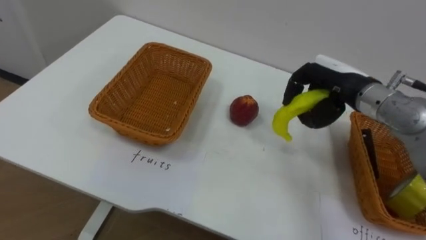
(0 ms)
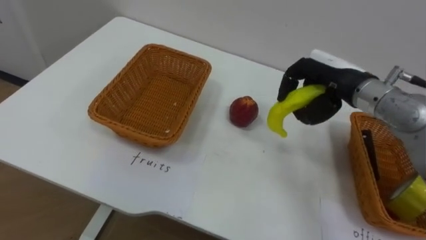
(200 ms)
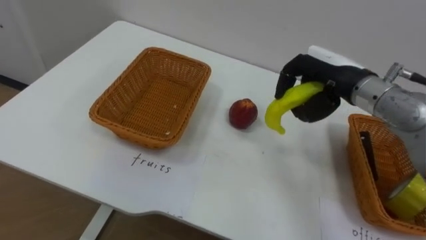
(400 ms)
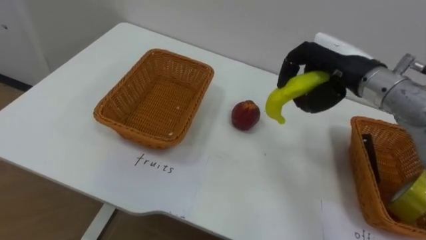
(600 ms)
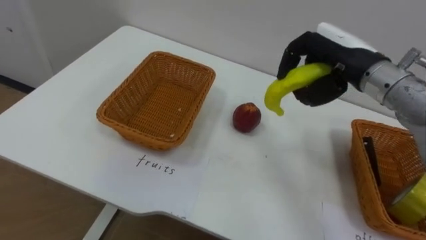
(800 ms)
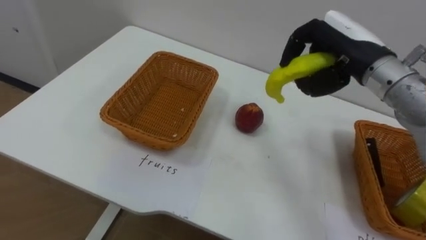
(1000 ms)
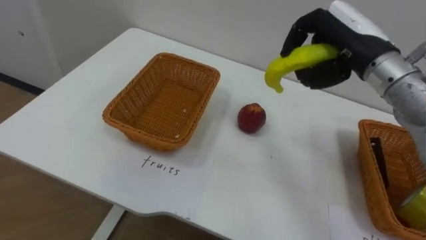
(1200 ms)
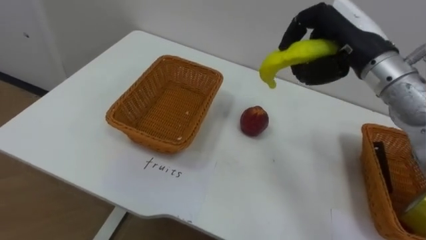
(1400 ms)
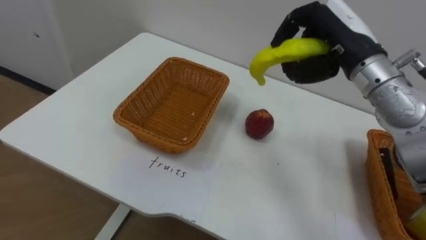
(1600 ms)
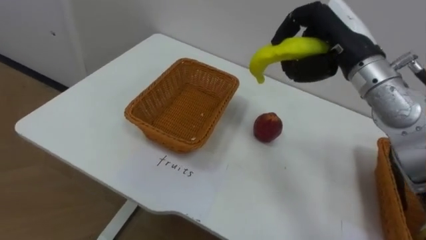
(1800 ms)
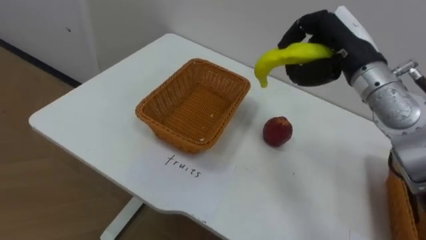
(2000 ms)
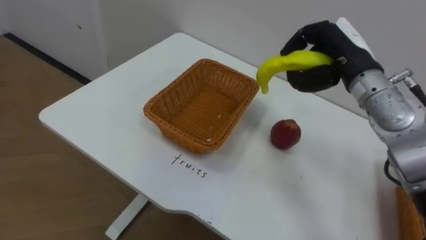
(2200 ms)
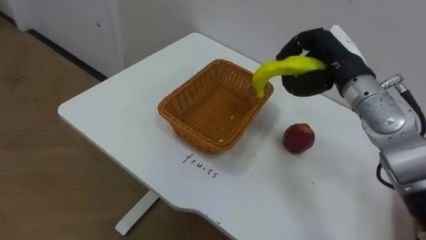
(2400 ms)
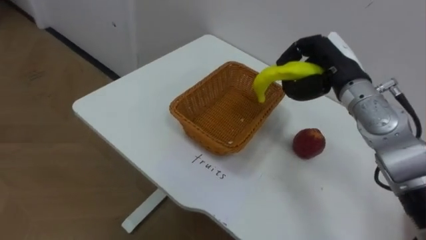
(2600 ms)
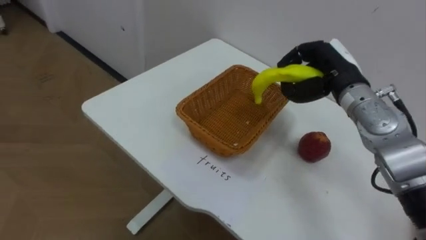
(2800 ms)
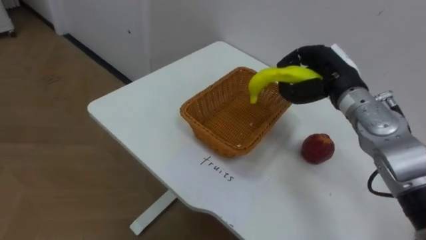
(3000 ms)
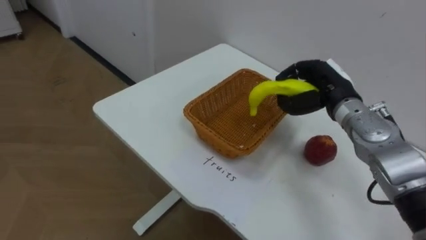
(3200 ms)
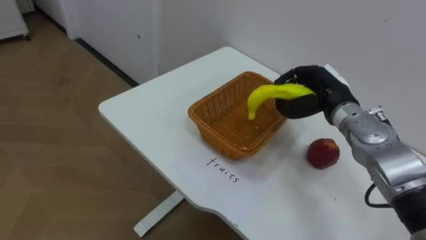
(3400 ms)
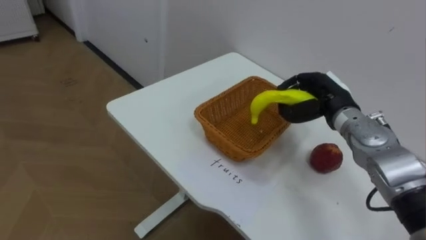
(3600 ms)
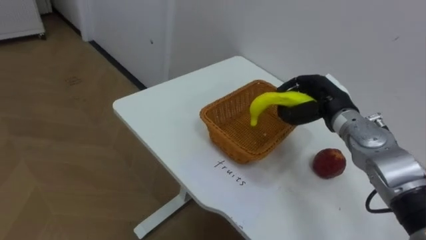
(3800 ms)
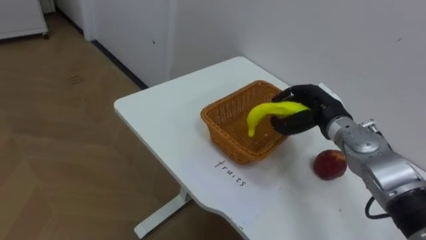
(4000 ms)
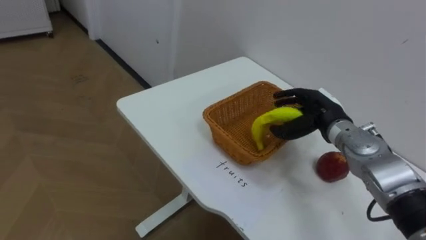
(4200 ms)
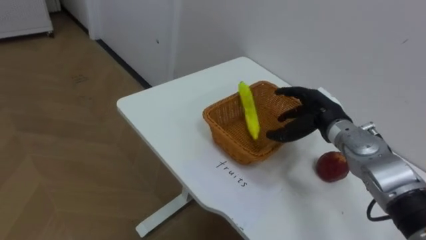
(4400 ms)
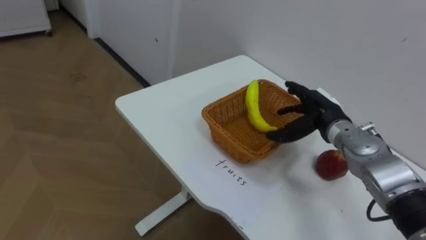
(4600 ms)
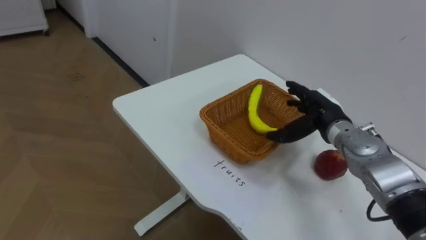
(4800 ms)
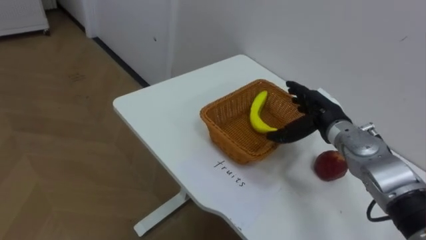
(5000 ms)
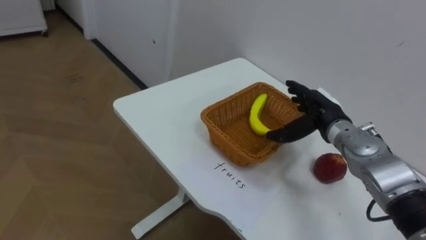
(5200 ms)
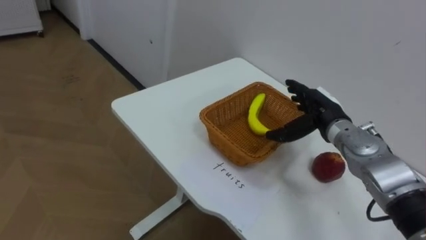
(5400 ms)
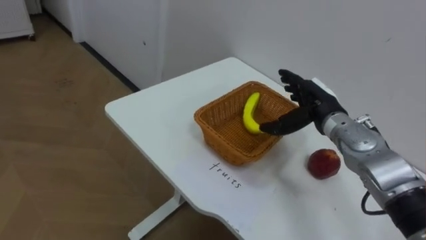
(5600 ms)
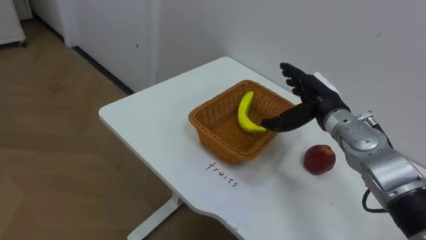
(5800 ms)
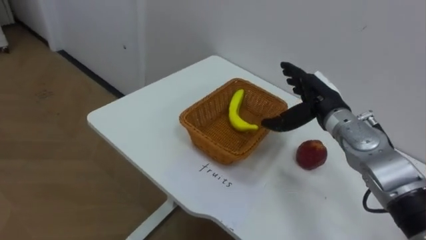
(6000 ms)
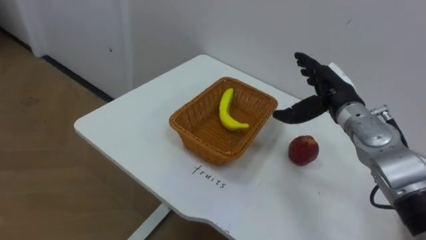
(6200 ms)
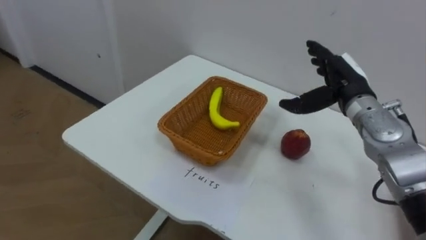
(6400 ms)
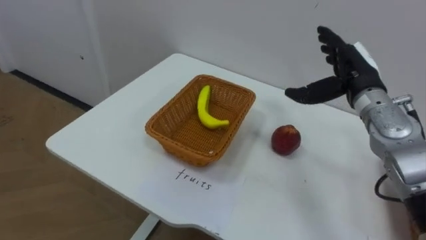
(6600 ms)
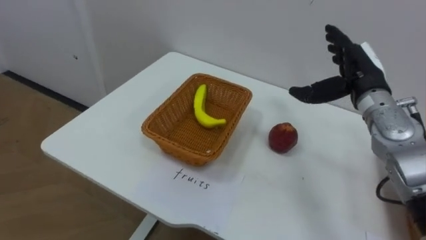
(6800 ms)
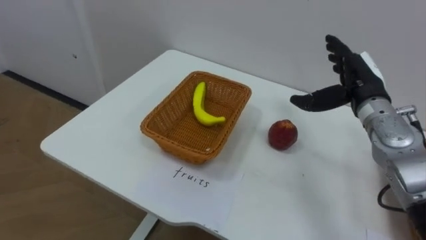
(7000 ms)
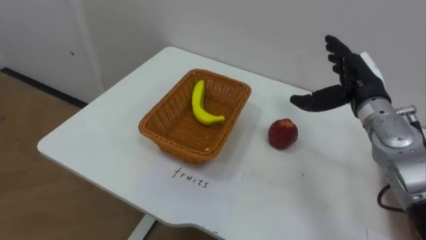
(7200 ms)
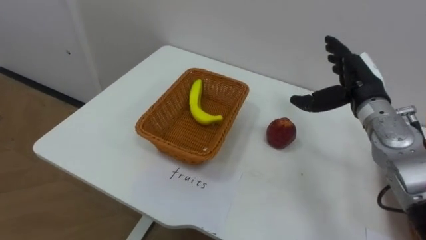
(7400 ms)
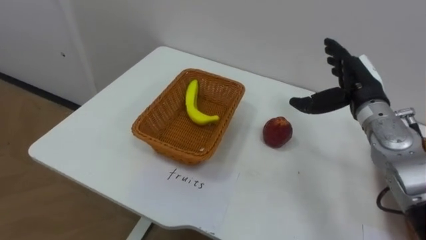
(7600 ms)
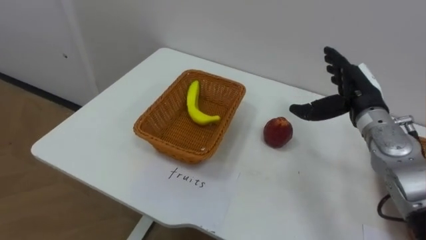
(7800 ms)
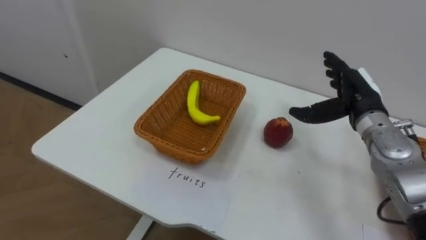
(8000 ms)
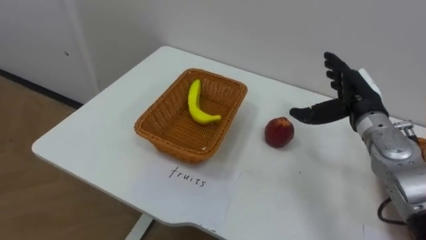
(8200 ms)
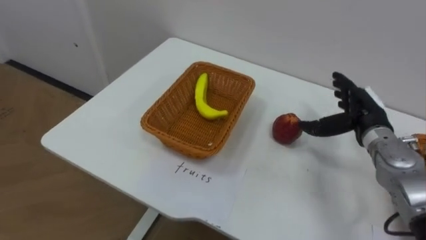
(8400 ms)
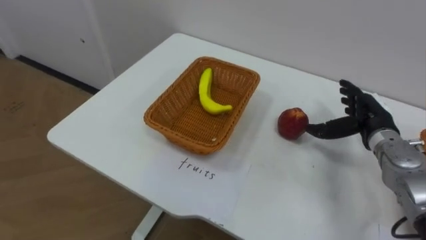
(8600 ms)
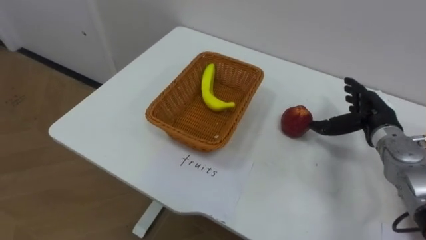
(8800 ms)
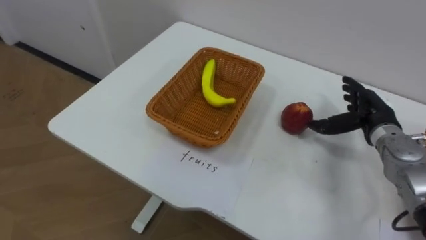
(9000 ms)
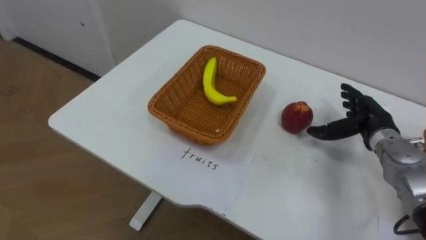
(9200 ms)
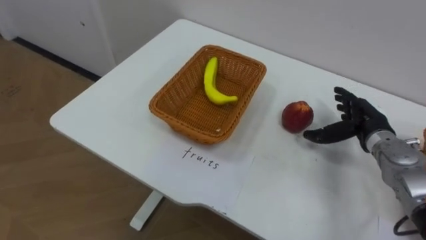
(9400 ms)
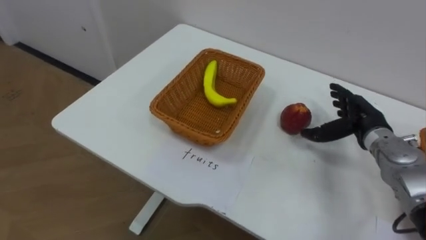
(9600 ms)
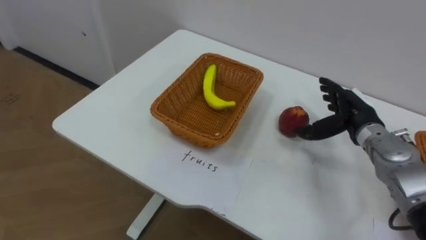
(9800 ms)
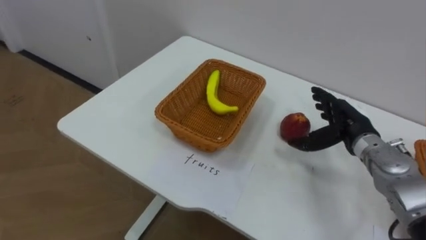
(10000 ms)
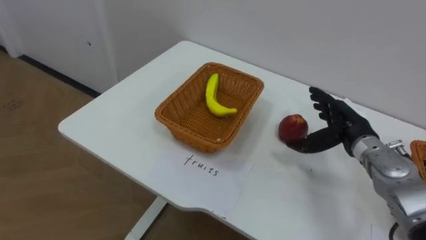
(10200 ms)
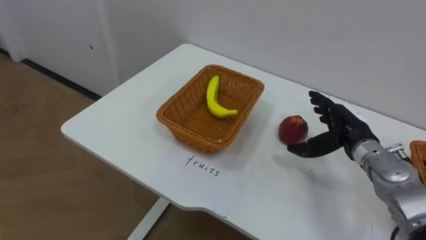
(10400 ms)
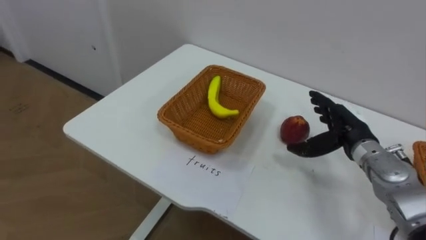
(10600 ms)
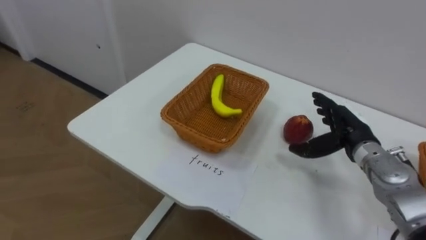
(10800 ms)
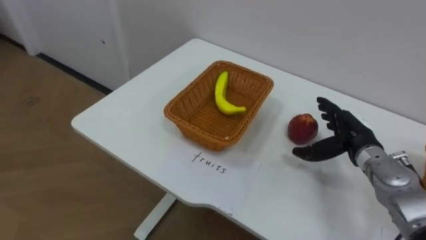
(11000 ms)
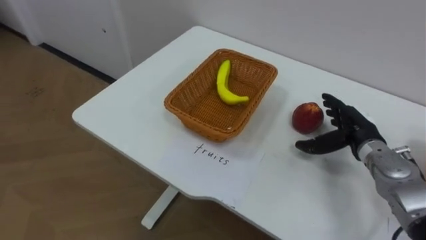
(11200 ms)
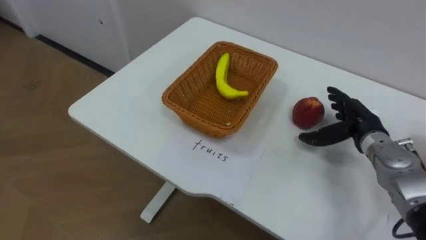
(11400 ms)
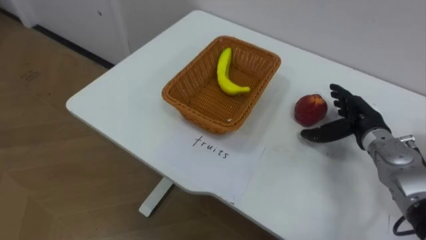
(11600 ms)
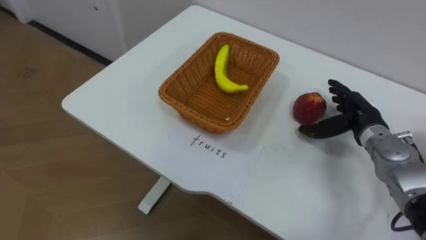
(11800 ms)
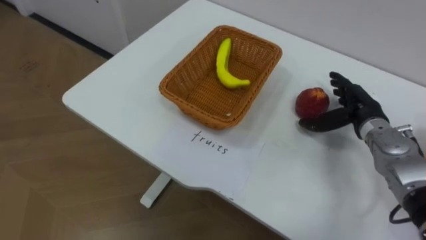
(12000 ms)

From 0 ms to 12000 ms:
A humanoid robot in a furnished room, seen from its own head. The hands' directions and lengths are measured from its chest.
Task of the whole recording: Separate the items on the table and place them into the two baskets.
From 0 ms to 1600 ms: The right hand travels upward by roughly 10 cm.
From 1600 ms to 3000 ms: The right hand heads downward, covering roughly 10 cm.
From 3000 ms to 4400 ms: The right hand travels downward by about 10 cm, and opens up.
From 6000 ms to 7600 ms: The right hand travels to the right by approximately 5 cm.
From 7600 ms to 9000 ms: The right hand shifts about 5 cm downward.
From 9000 ms to 10400 ms: The right hand ends up some 5 cm from where it was.

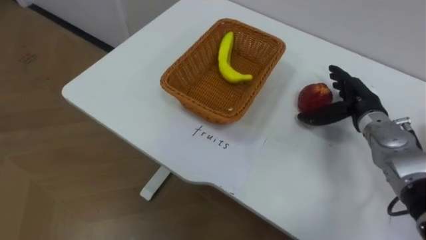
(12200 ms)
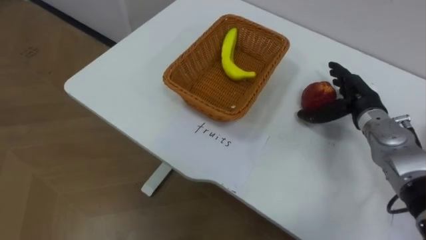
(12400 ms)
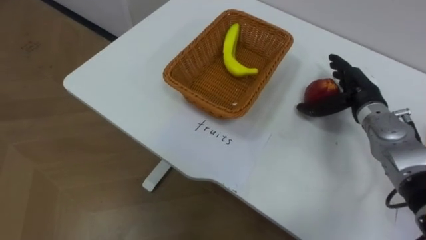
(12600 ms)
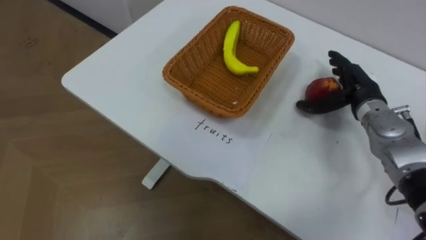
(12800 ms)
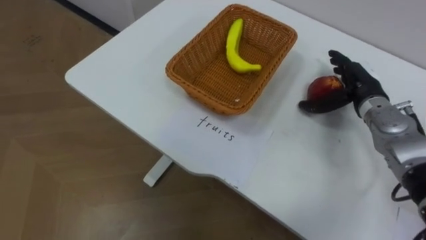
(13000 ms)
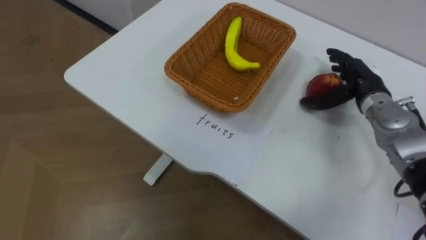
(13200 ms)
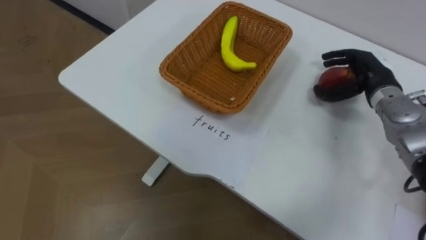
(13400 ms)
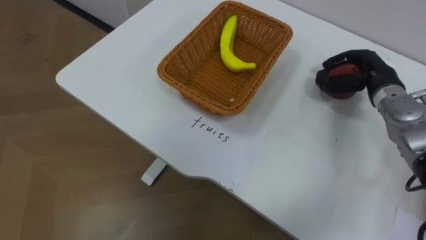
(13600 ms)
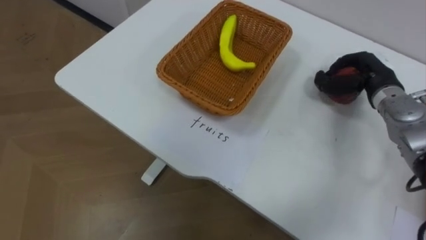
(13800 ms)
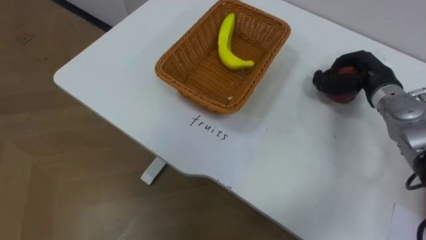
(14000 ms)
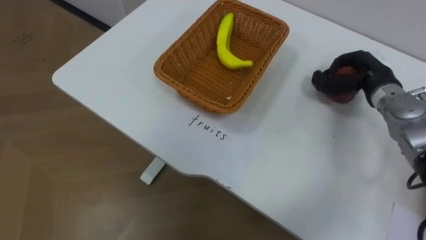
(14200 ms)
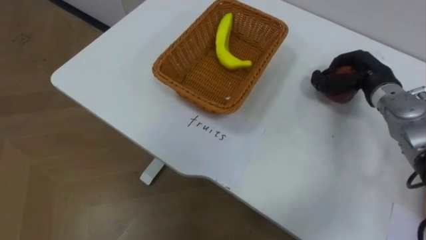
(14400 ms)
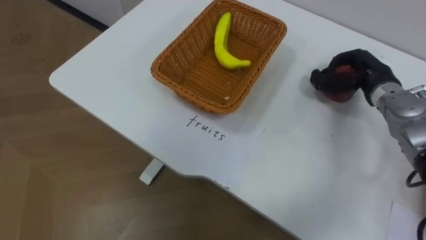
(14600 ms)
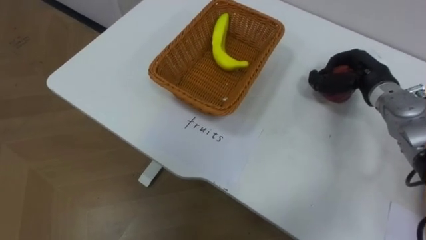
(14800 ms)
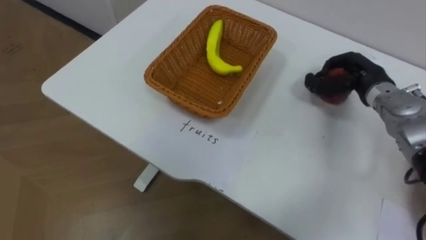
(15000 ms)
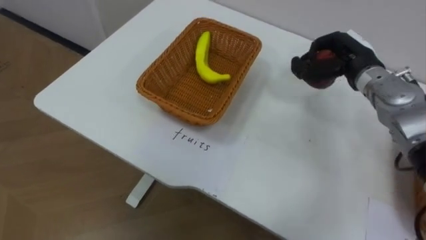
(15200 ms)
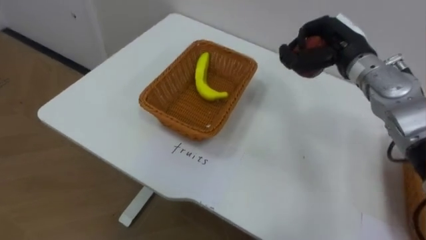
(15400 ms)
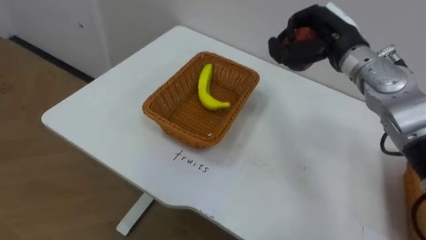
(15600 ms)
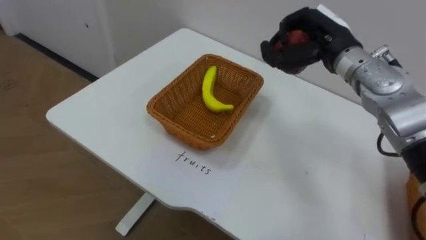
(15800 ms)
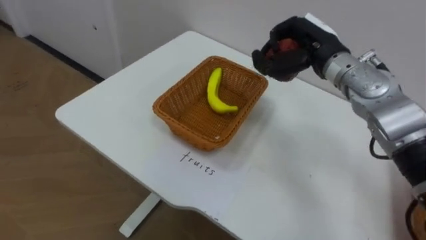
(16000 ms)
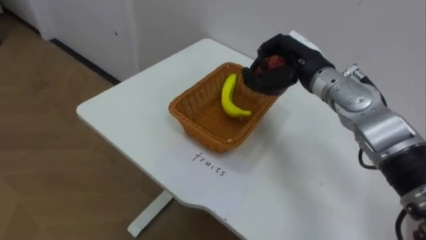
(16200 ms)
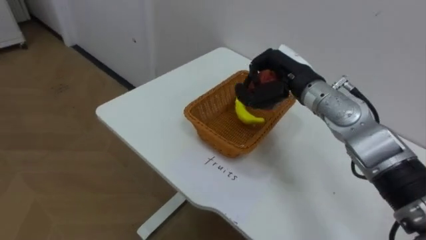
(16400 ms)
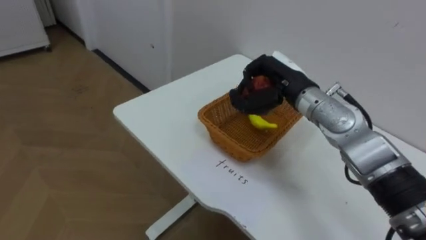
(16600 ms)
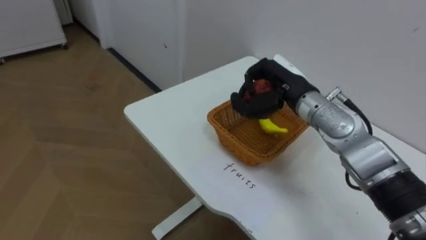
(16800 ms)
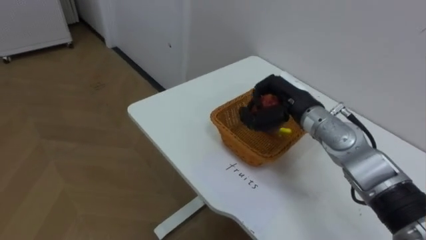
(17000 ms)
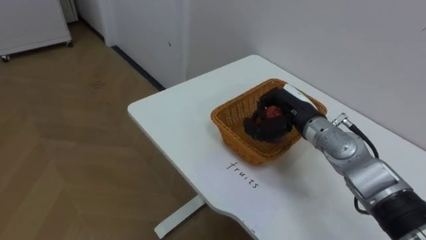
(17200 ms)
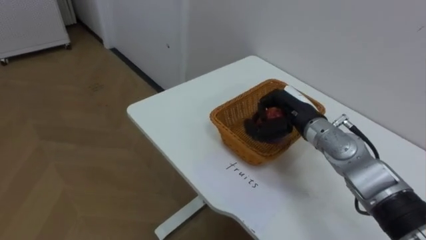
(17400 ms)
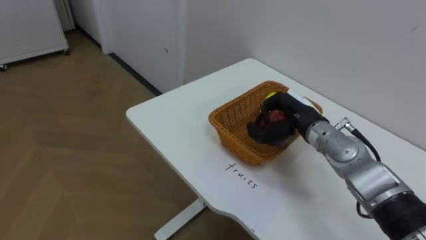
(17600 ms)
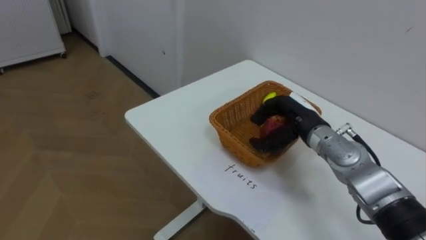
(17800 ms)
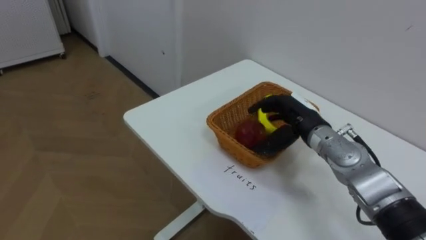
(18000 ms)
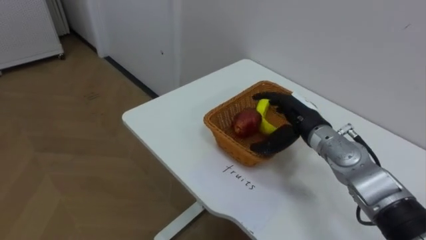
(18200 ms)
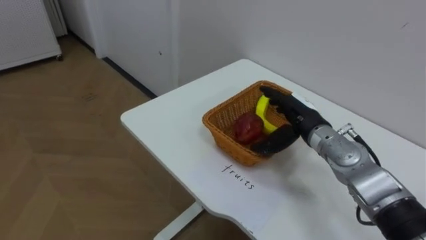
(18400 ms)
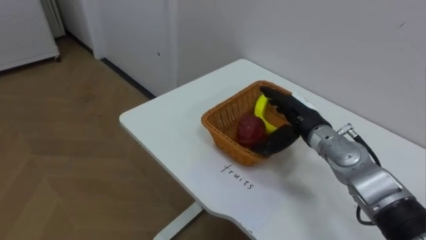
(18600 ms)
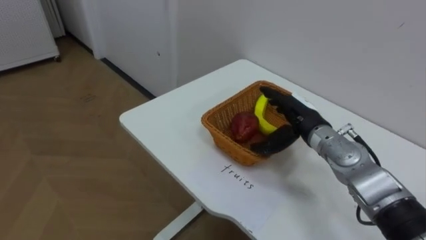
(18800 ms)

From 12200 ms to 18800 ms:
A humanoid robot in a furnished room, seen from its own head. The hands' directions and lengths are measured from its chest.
Task of the whole recording: Separate the items on the table and place them into the two baskets.
From 12200 ms to 13800 ms: The right hand closes its fingers.
From 13800 ms to 15400 ms: The right hand goes approximately 10 cm to the left and upward.
From 15400 ms to 17200 ms: The right hand shifts about 15 cm downward, to the left and backward.
From 17200 ms to 18800 ms: The right hand opens up.
